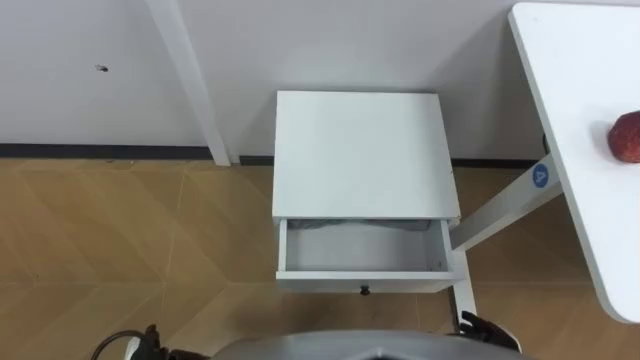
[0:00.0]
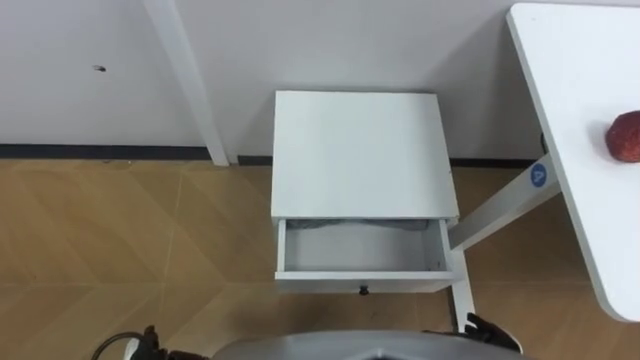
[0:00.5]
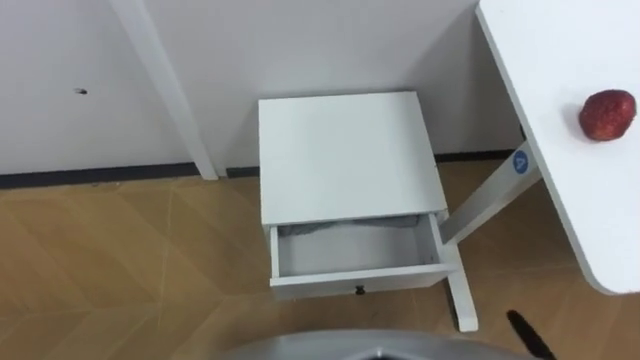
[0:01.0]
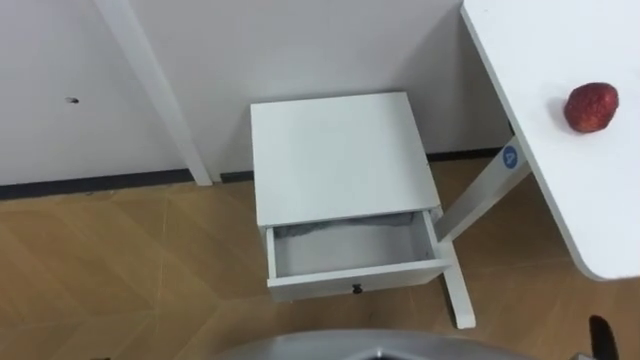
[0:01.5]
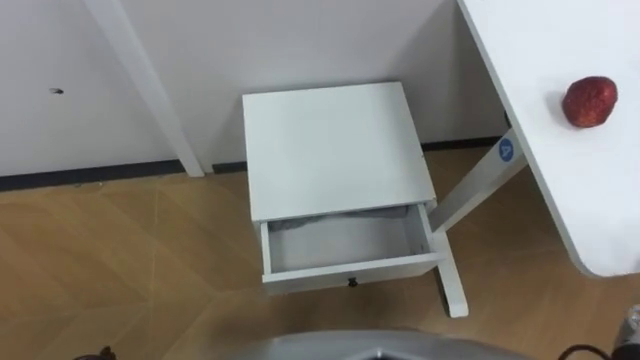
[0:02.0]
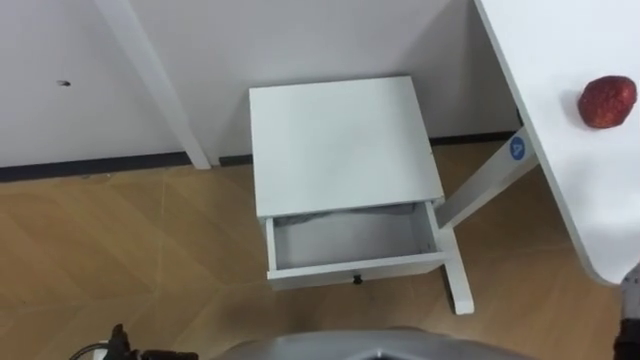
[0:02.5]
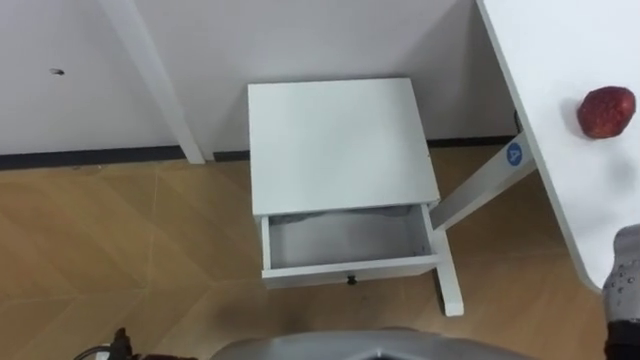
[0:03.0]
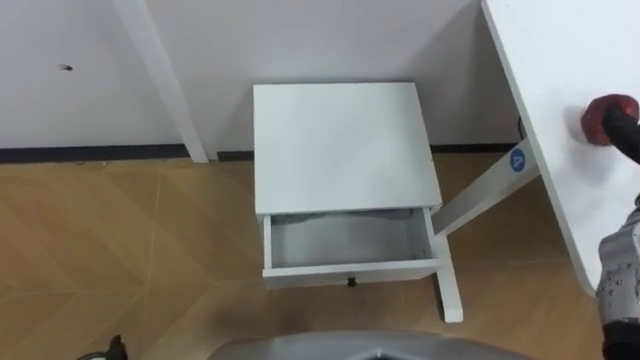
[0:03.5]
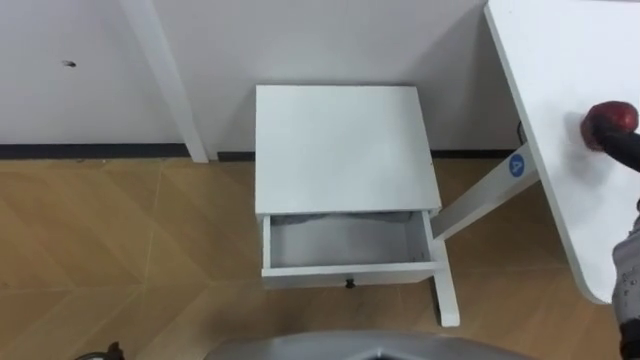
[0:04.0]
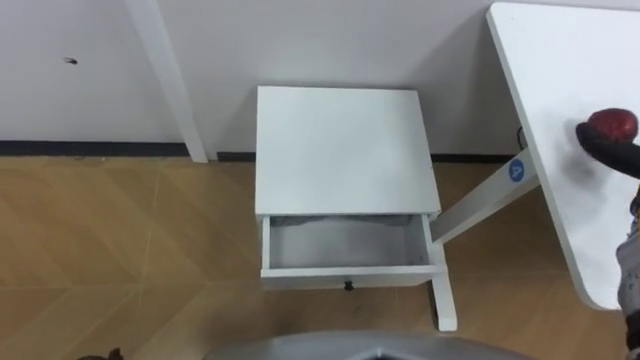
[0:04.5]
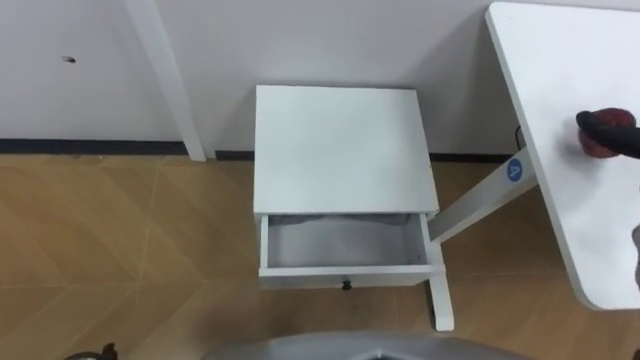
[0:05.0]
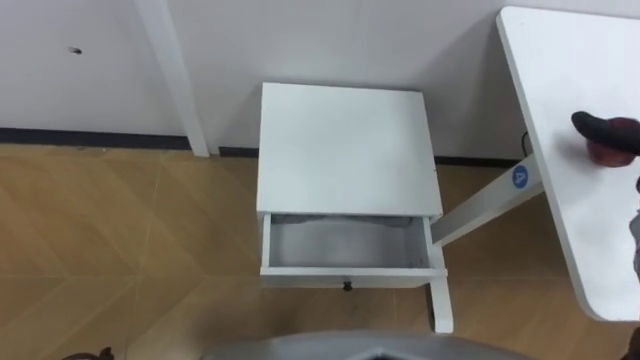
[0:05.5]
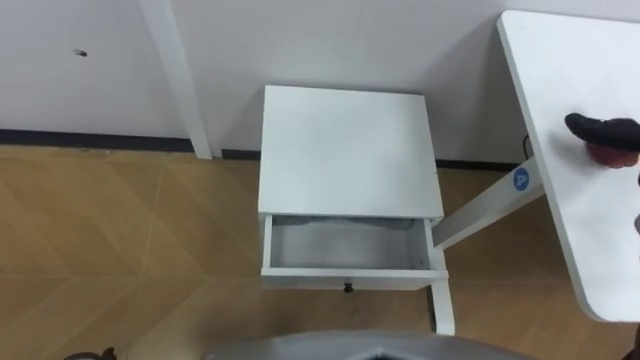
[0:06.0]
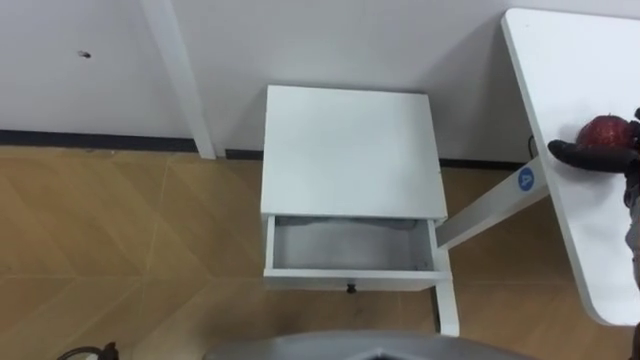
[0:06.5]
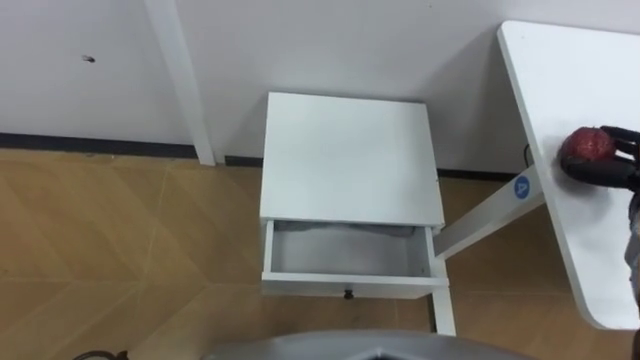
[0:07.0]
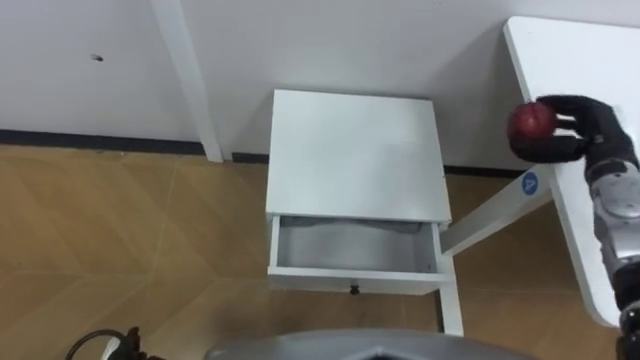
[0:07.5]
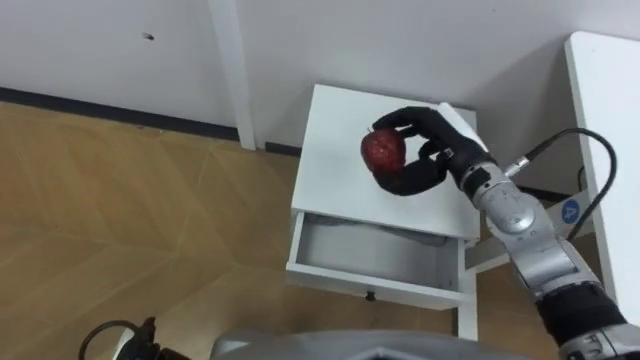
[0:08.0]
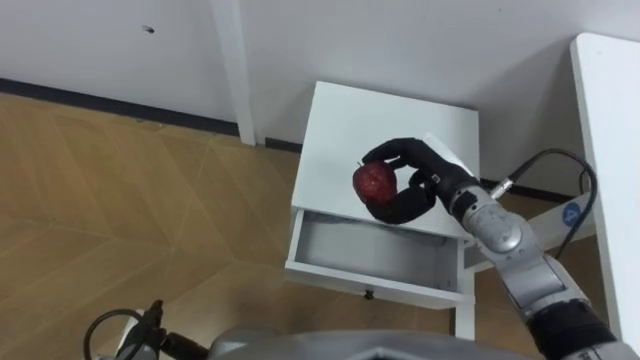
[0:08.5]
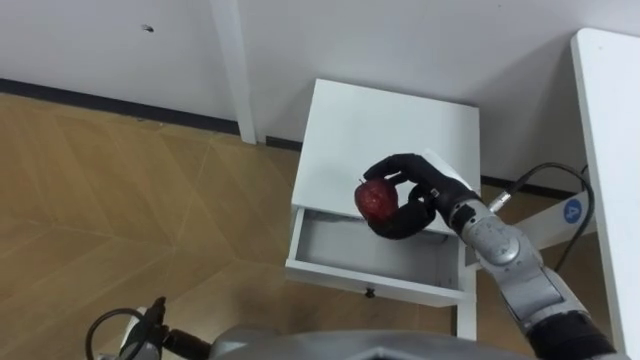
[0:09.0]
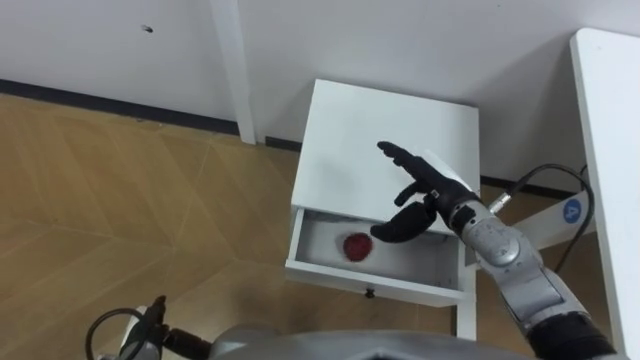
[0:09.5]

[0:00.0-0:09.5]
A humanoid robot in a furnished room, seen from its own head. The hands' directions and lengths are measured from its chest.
Task of the whole recording: Pick up the apple from the table, put it in the drawer, and close the drawer with leg.
0:07.5 to 0:09.5: The left hand shifts by some 5 cm, while the right hand goes about 20 cm to the left.

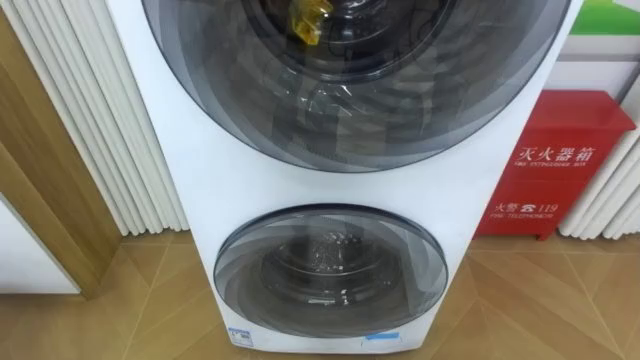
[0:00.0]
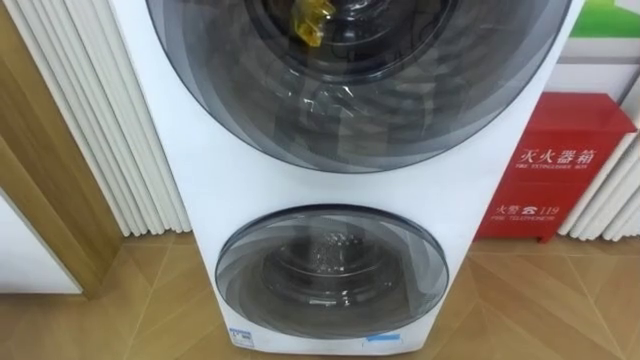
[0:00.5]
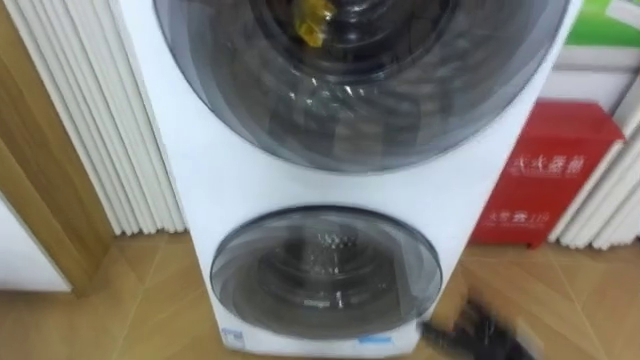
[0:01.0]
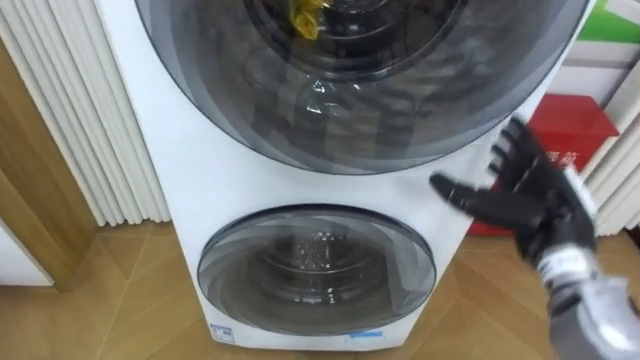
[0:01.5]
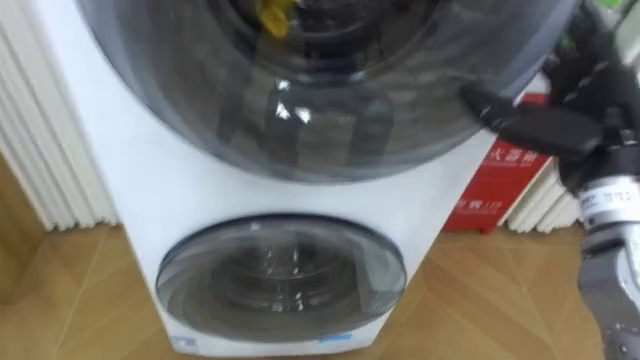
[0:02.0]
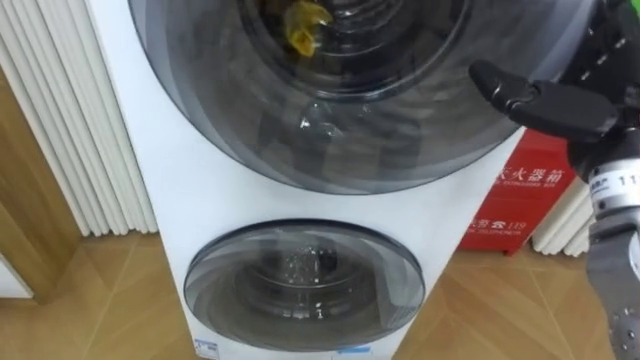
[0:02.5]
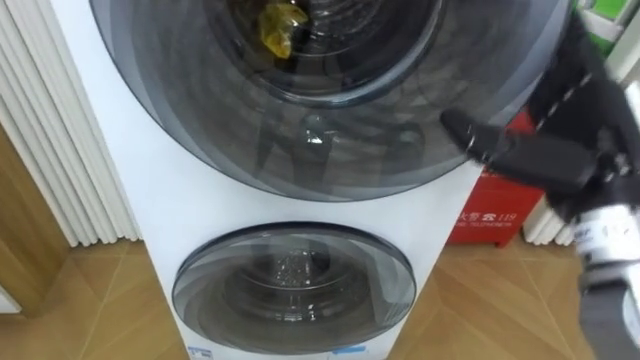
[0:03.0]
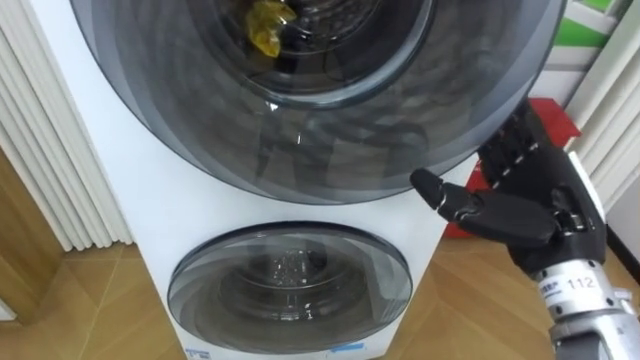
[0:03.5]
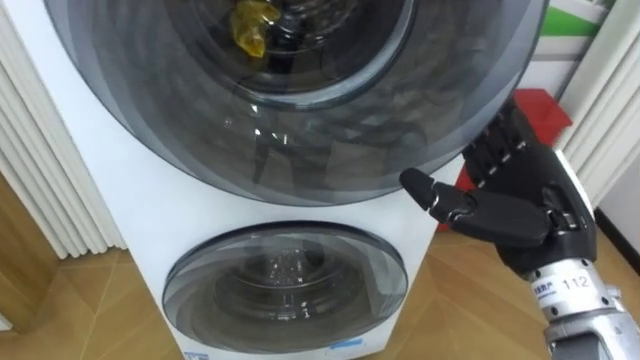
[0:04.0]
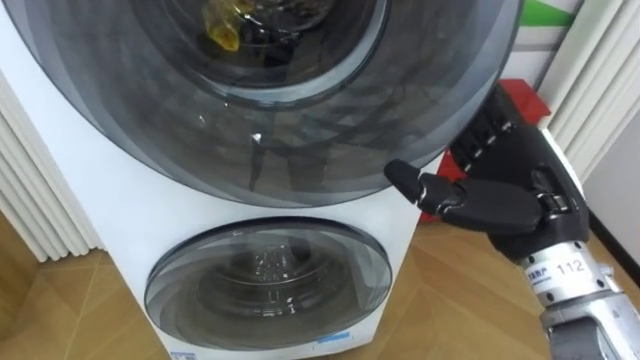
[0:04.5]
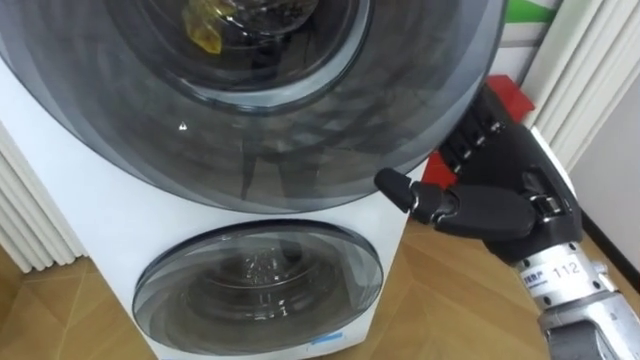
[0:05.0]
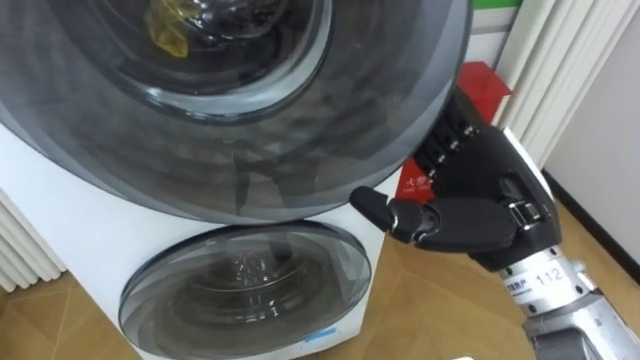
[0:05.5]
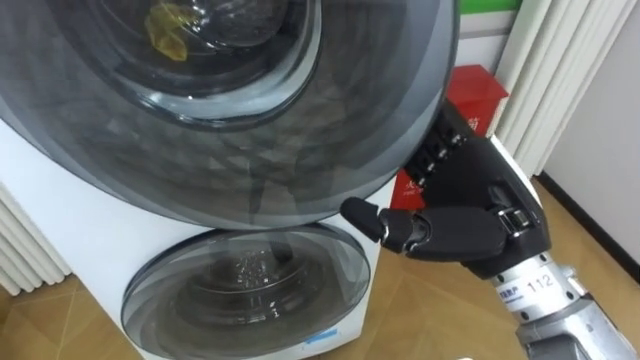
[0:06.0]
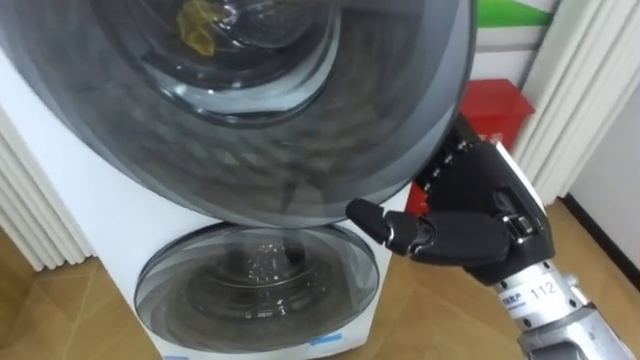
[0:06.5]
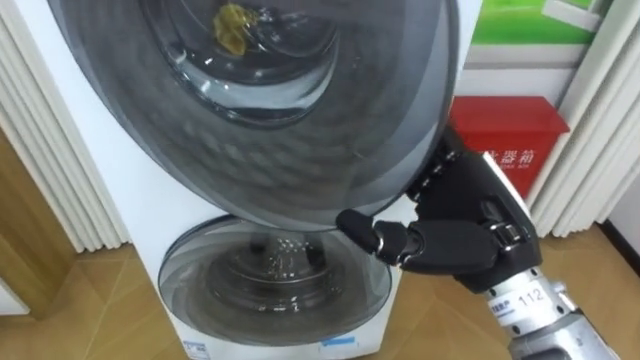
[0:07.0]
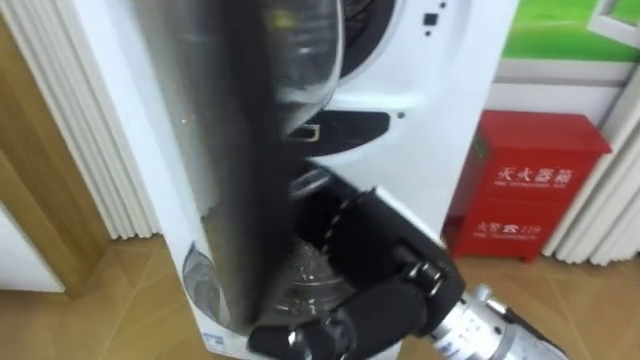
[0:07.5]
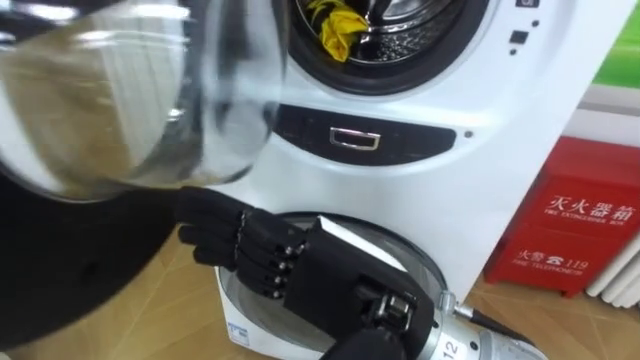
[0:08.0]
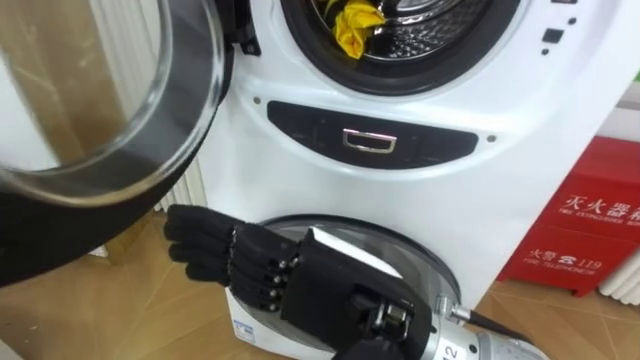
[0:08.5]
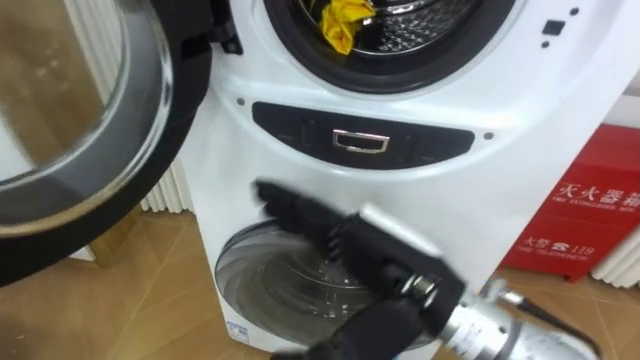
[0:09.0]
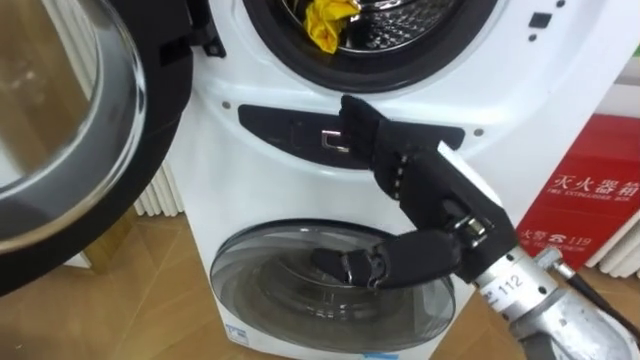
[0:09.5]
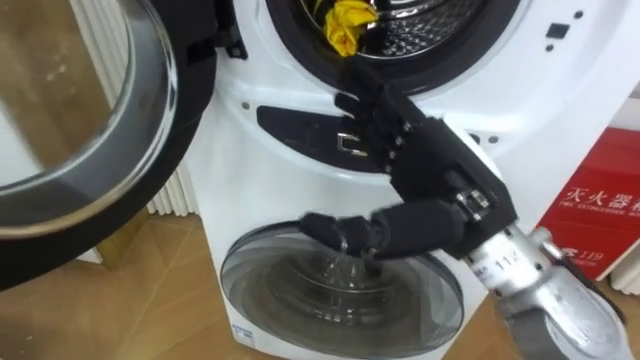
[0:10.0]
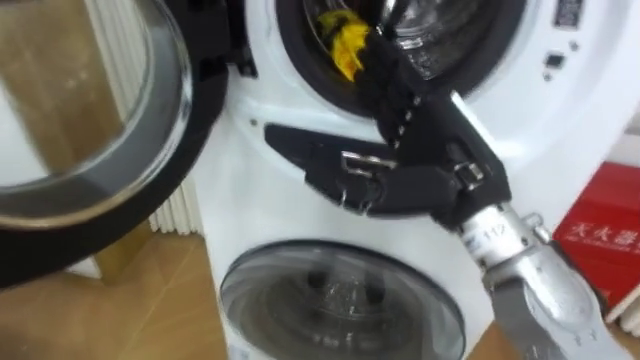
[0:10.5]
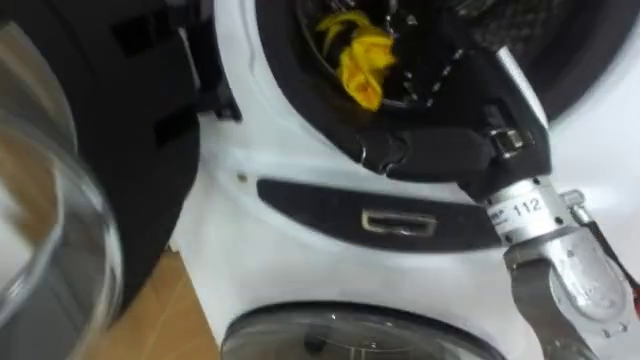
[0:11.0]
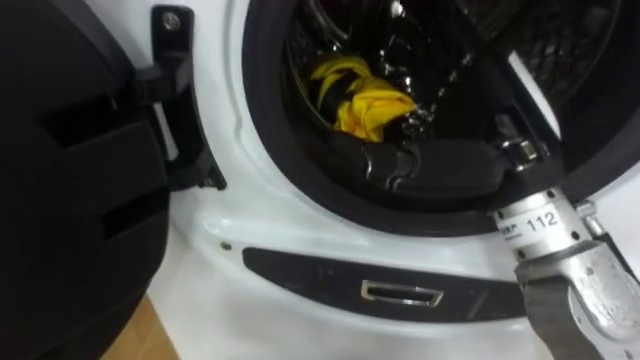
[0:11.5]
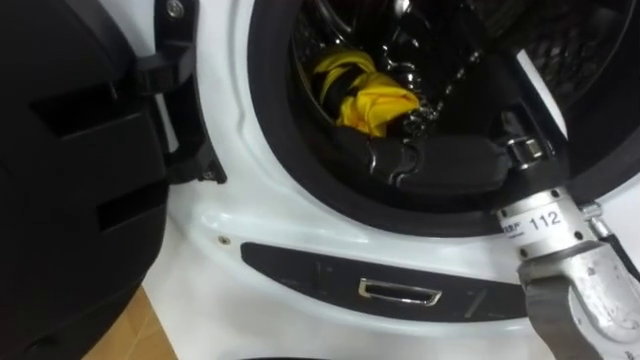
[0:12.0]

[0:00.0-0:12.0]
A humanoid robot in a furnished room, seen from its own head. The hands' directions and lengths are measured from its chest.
Task of the whole recording: Open the washing machine door, take out the yellow clothes, place them in the box on the right, and close the washing machine door.
0:02.0 to 0:04.0: The right hand travels to the left and downward by about 10 cm.
0:04.0 to 0:06.0: The right hand shifts some 5 cm to the left.
0:06.0 to 0:08.0: The right hand is displaced to the left and backward by some 15 cm.
0:08.0 to 0:10.0: The right hand travels to the right and forward by roughly 10 cm.
0:10.0 to 0:12.0: The right hand ends up some 5 cm from where it was.
